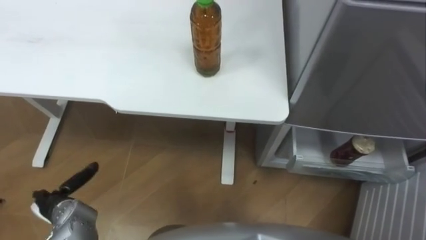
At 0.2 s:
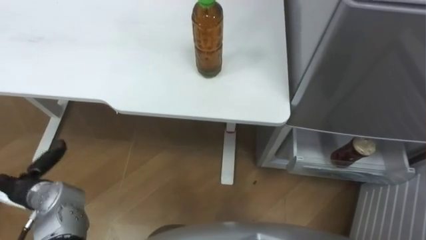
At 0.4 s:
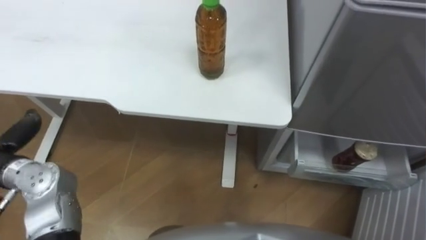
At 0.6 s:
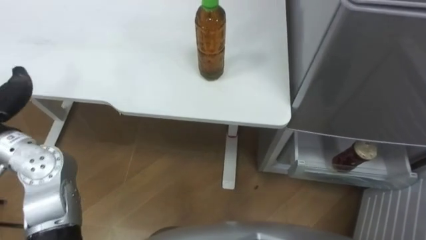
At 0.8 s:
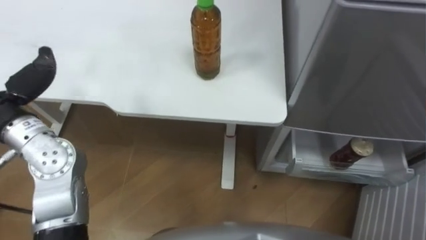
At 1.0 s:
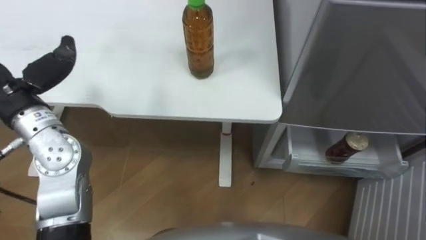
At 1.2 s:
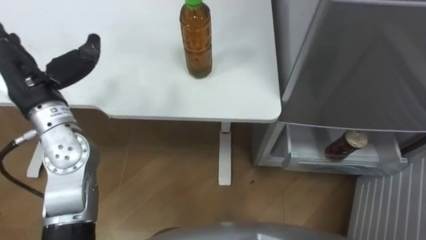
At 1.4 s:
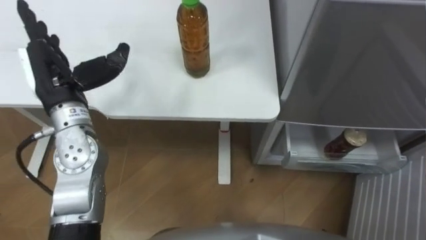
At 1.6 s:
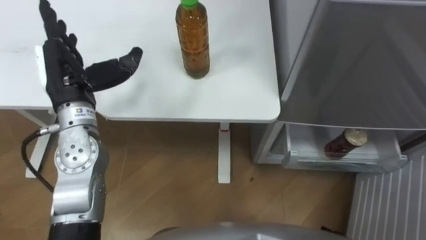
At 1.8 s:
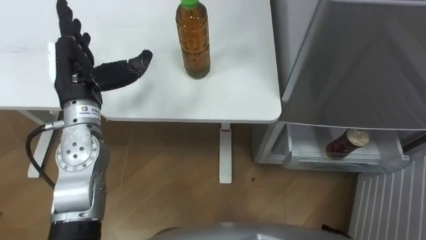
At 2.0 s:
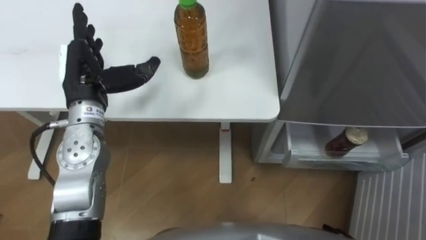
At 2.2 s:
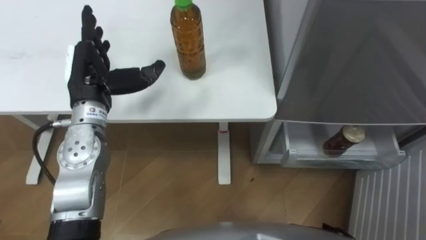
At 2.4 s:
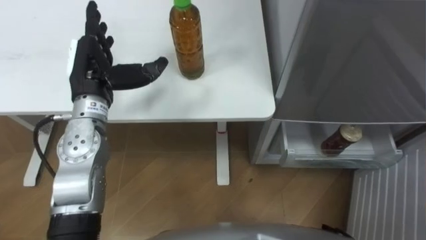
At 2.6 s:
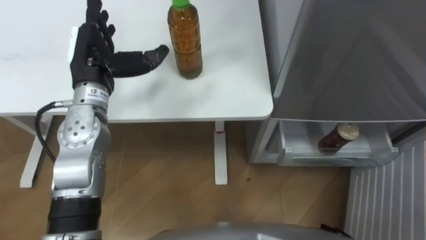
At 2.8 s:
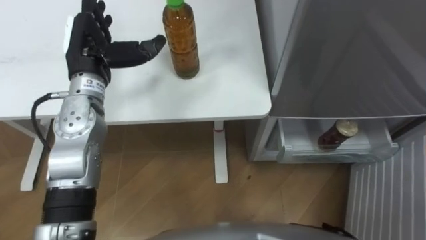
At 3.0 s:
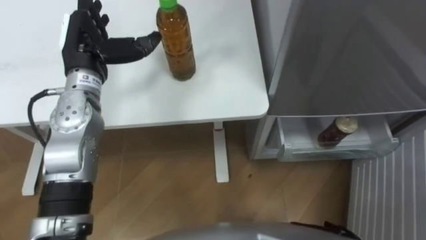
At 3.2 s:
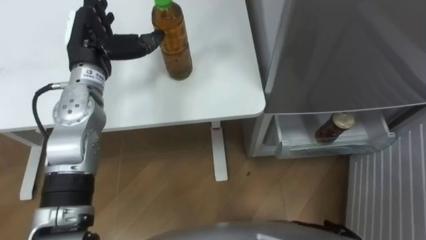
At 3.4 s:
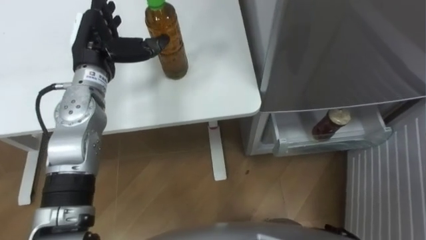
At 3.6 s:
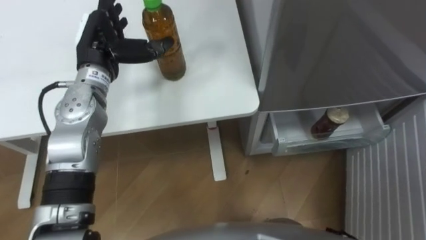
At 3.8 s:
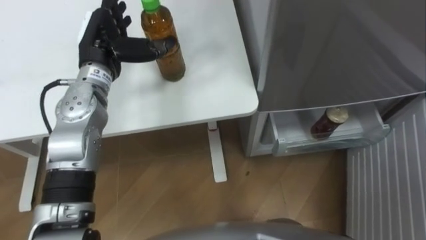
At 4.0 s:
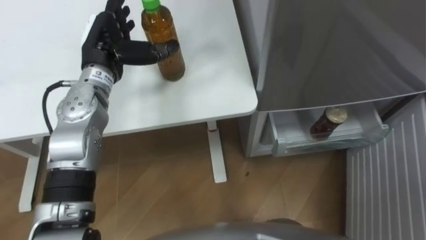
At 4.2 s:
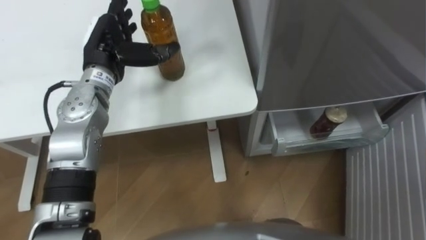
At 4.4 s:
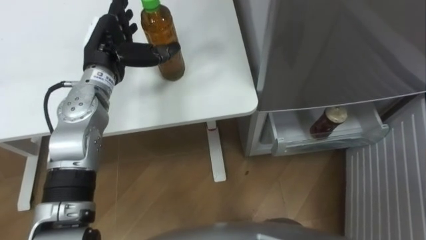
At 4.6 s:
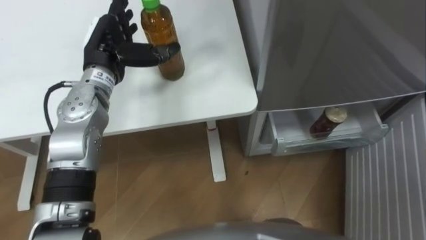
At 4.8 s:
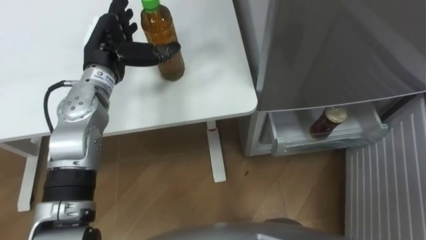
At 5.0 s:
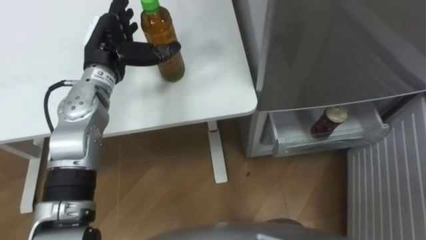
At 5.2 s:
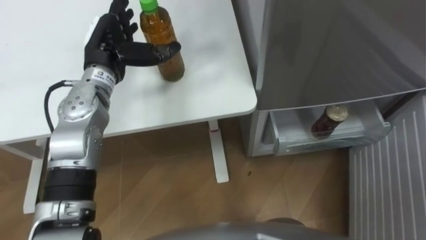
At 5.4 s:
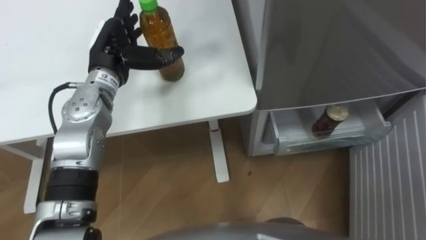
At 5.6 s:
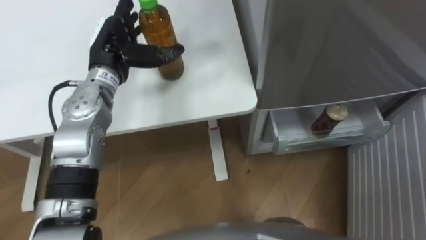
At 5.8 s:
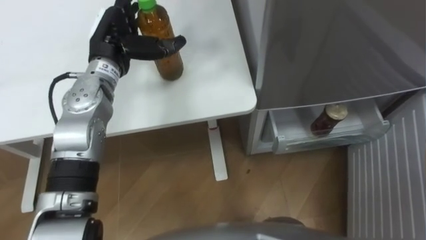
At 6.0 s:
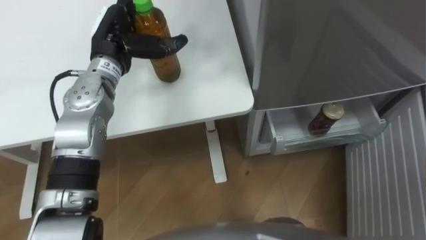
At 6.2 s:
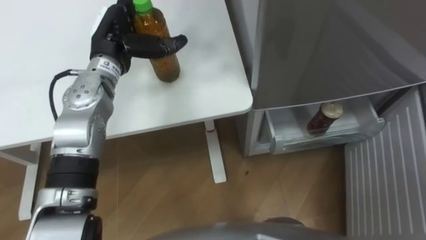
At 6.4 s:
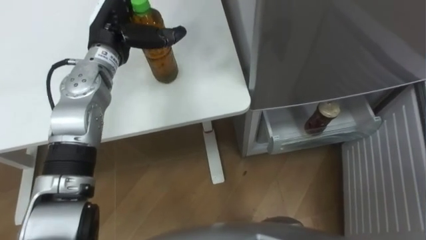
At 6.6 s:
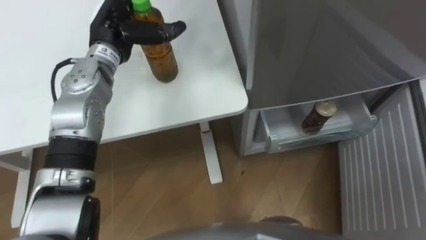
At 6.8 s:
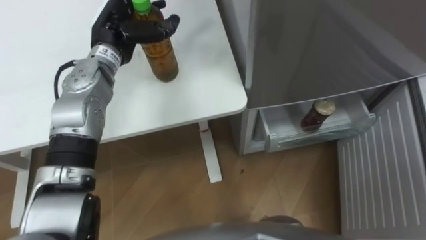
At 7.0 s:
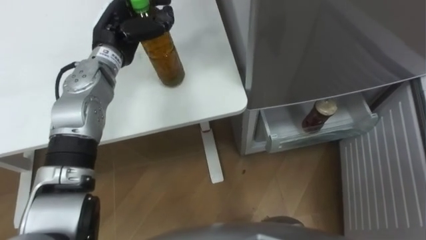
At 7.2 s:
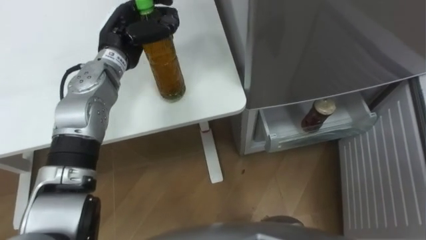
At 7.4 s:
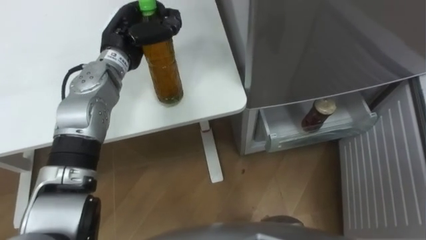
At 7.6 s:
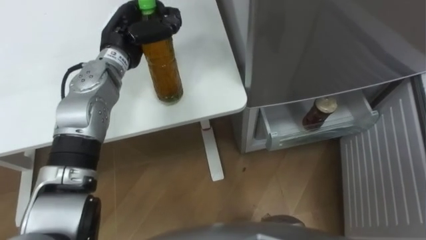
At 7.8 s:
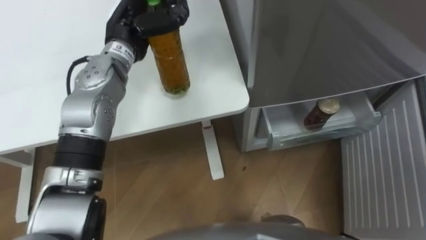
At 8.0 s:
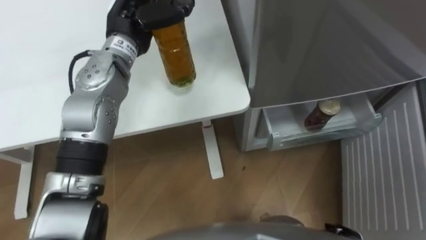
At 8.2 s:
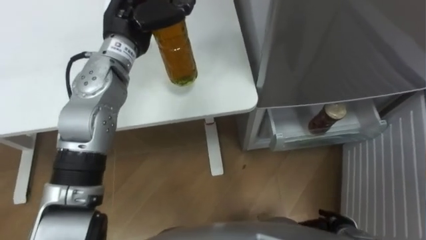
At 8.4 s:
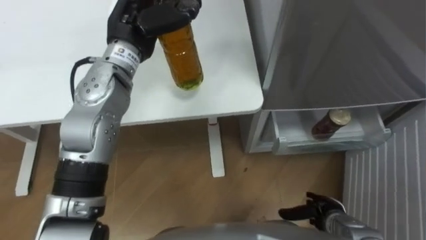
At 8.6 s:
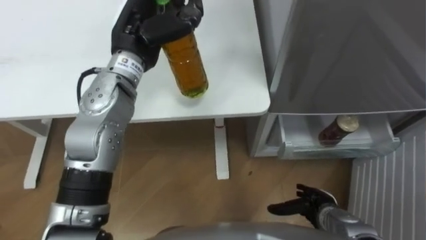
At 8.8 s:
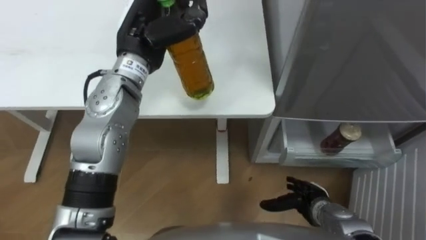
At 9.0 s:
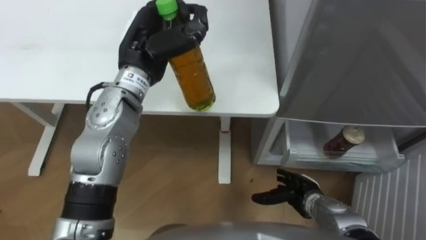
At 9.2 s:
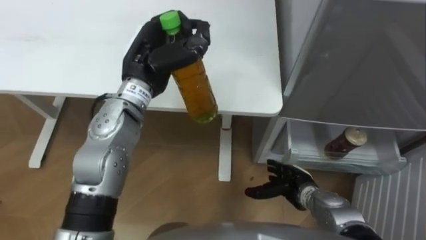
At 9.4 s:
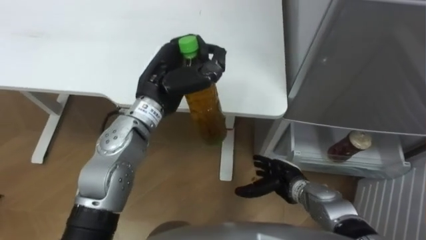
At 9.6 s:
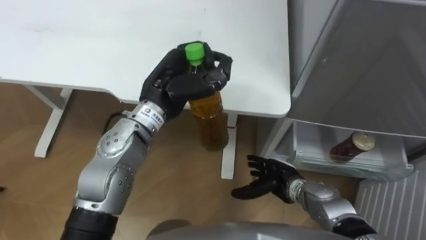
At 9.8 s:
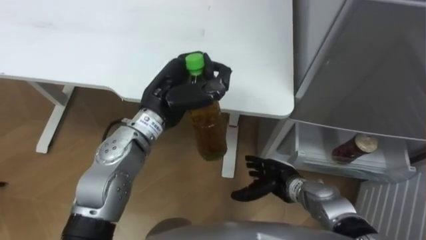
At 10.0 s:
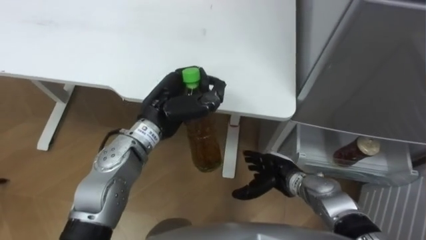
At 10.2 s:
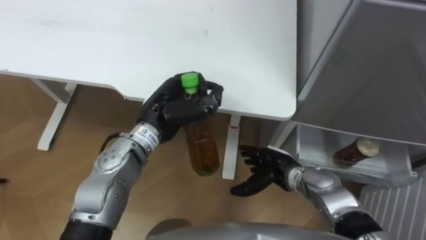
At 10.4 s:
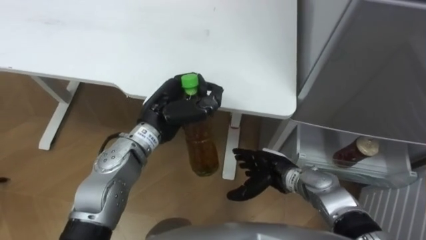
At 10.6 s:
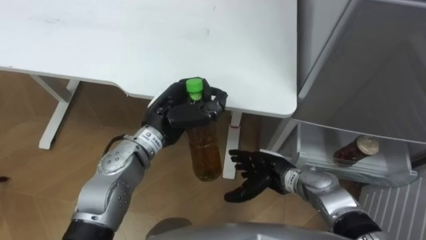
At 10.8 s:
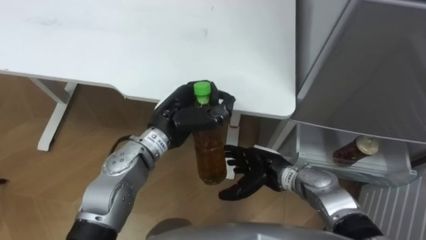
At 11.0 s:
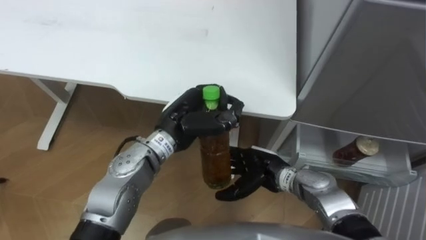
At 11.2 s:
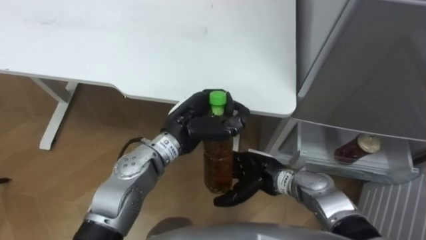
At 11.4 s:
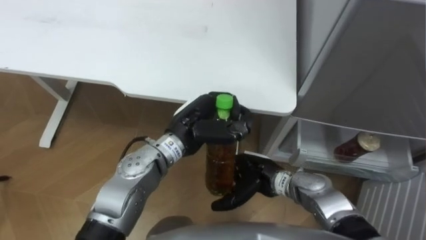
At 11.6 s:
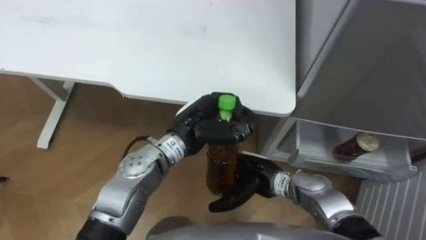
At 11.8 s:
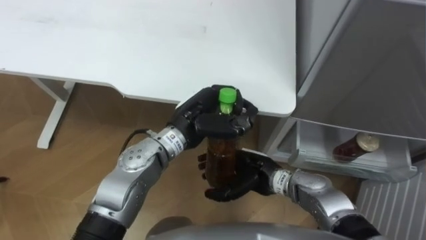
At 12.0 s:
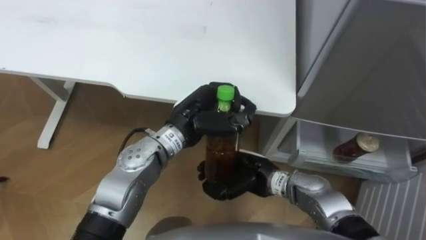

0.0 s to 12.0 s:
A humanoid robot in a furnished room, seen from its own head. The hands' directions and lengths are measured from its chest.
Task of the whole recording: Place the drink on the table on the bottom shelf of the refrigerator, then close the drawer and the refrigerator door.
1.6 to 3.0 s: The left hand moves forward, roughly 5 cm.
6.0 to 7.6 s: The left hand closes its fingers.
7.6 to 9.0 s: The left hand shifts about 5 cm backward.
9.0 to 10.4 s: The left hand shifts some 10 cm downward and backward. The right hand shifts approximately 10 cm to the left, upward and forward.
10.4 to 12.0 s: The left hand goes approximately 5 cm to the right; the right hand heads to the left, covering about 5 cm, and closes its fingers.

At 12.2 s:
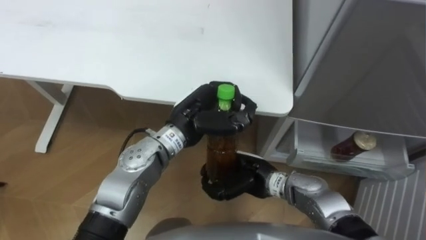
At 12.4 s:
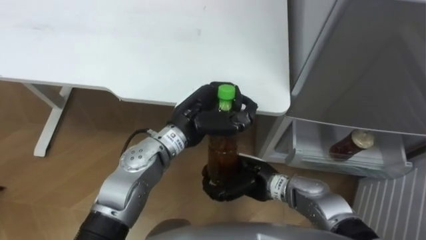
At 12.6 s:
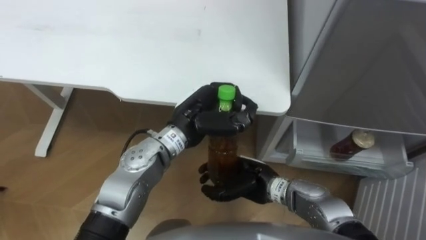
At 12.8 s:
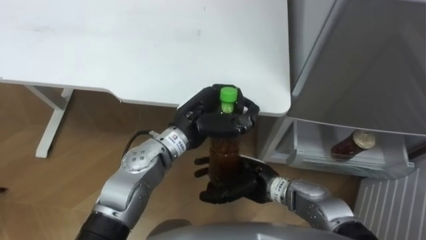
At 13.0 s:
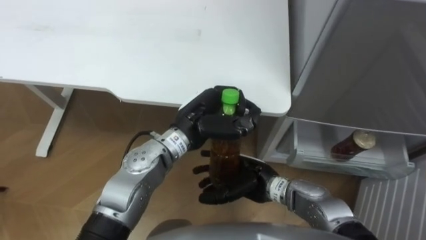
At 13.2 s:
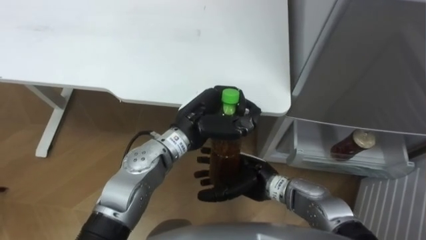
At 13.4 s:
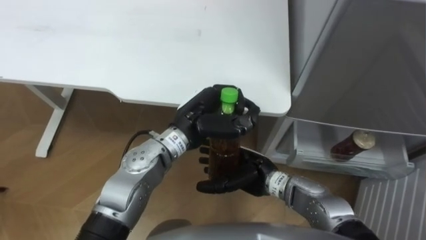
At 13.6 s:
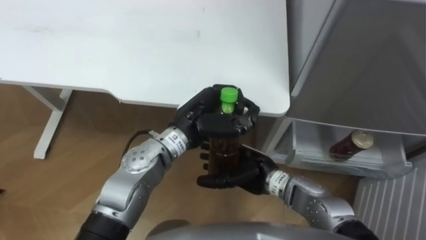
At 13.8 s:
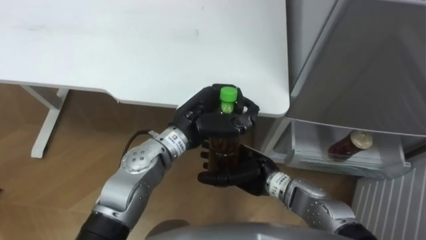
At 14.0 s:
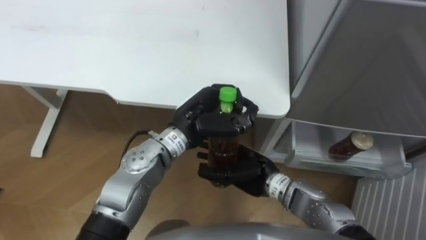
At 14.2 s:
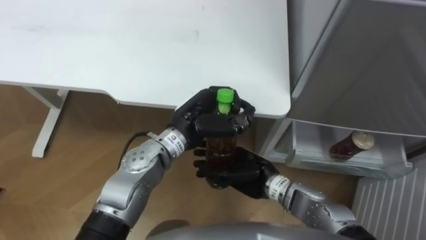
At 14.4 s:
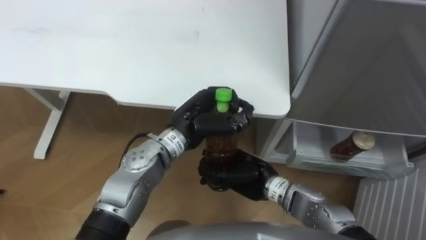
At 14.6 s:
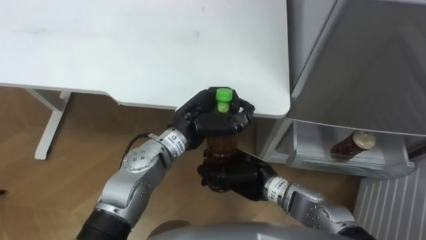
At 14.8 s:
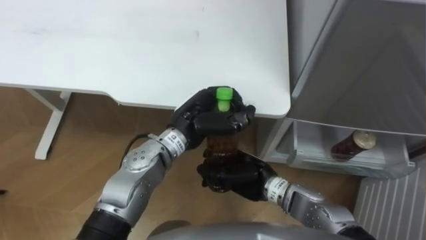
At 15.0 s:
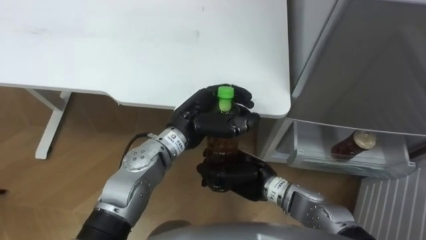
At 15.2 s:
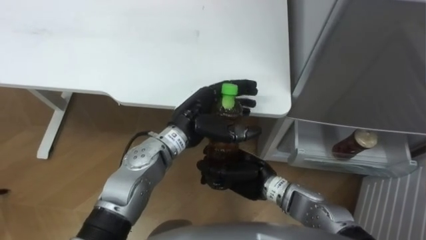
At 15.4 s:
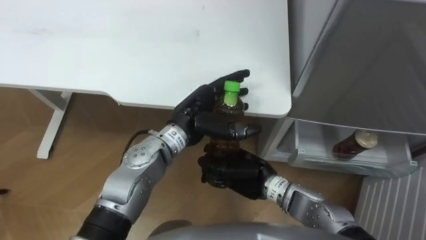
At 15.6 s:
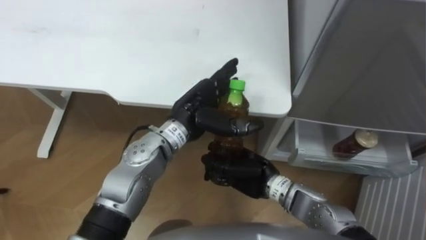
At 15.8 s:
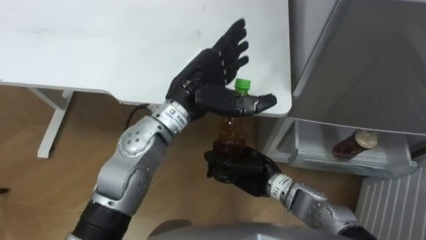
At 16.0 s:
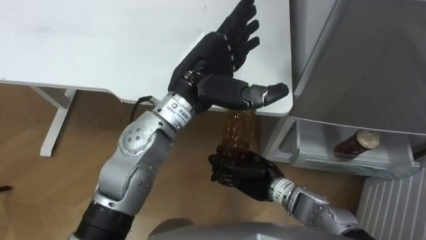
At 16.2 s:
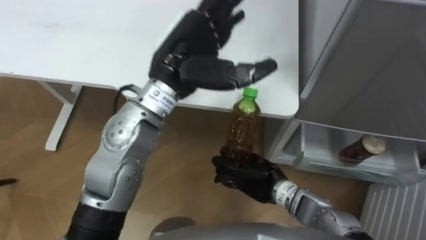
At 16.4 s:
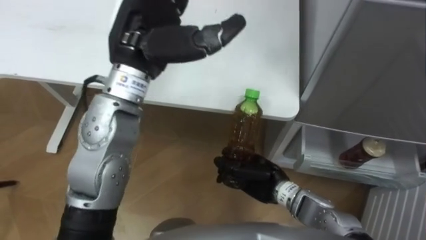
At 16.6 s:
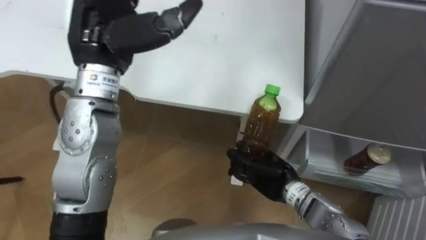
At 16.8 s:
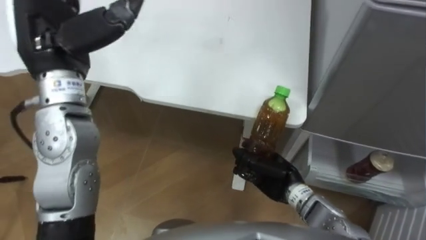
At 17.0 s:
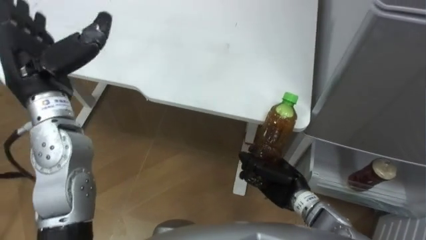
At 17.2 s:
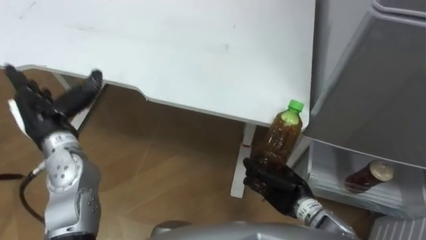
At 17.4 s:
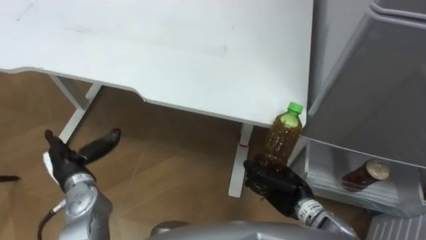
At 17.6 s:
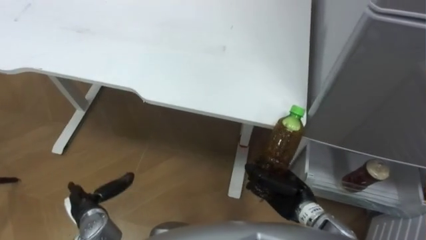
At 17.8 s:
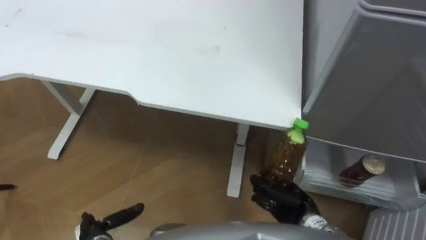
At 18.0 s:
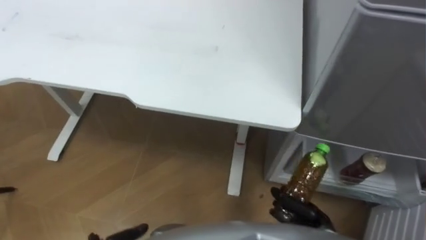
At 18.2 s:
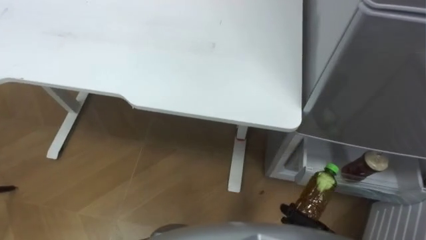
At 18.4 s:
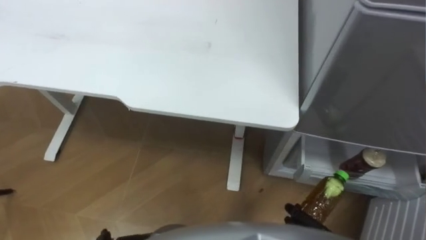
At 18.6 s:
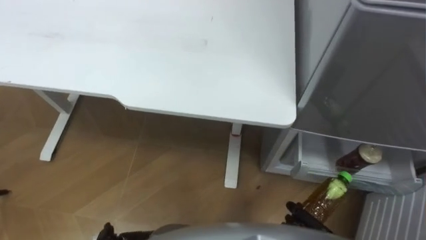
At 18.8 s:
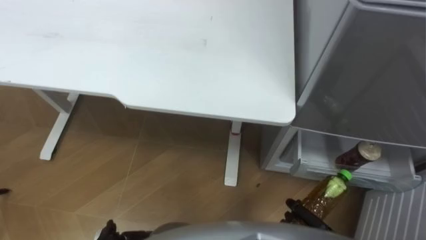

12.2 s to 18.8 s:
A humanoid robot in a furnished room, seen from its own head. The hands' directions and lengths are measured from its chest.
Task of the whole recording: Place the drink on the table on the bottom shelf of the refrigerator, then close the drawer and the refrigerator door.
12.2 to 13.8 s: The right hand opens.
13.8 to 15.4 s: The left hand opens its fingers, while the right hand closes up.
15.4 to 17.2 s: The right hand heads to the right, covering some 10 cm, while the left hand heads to the left, covering about 25 cm.
